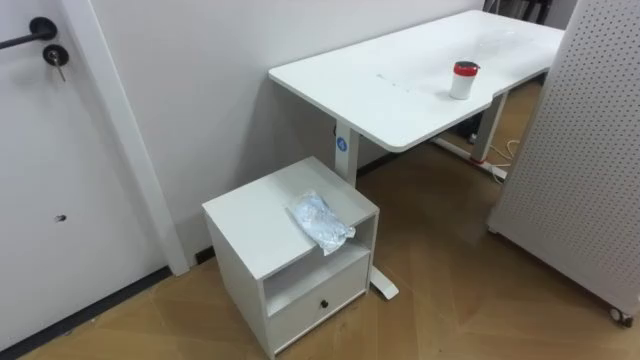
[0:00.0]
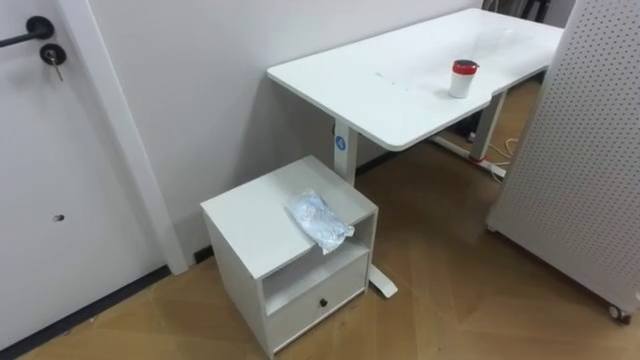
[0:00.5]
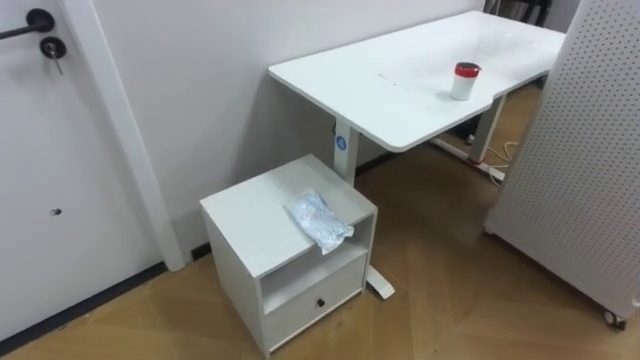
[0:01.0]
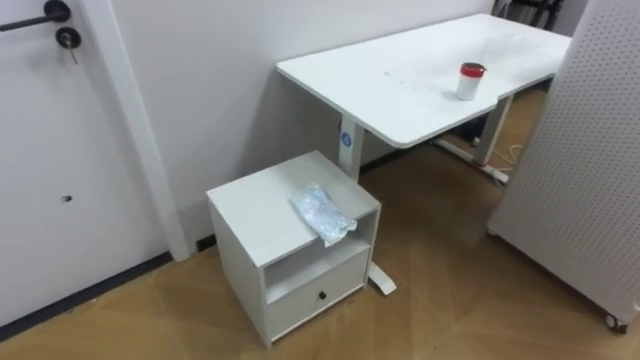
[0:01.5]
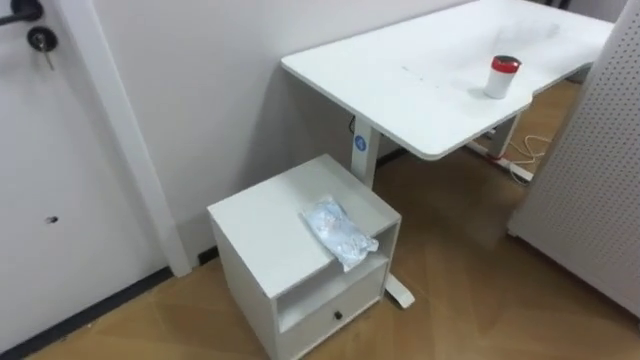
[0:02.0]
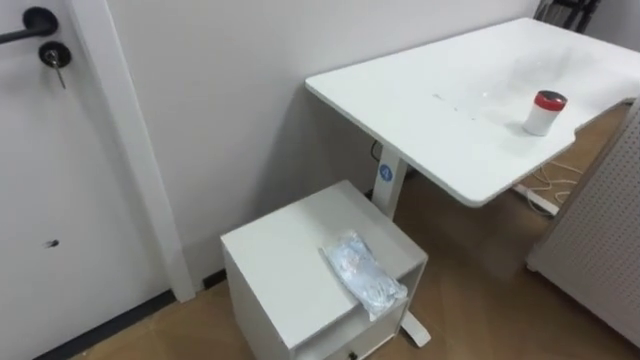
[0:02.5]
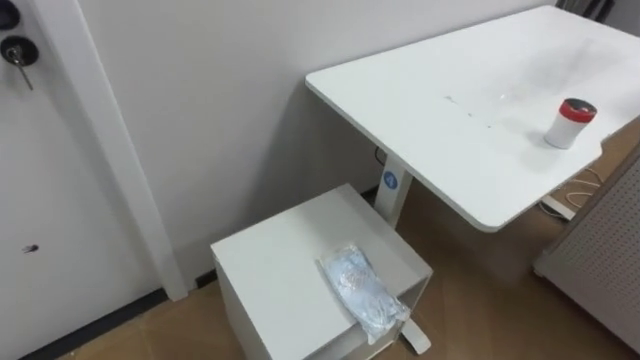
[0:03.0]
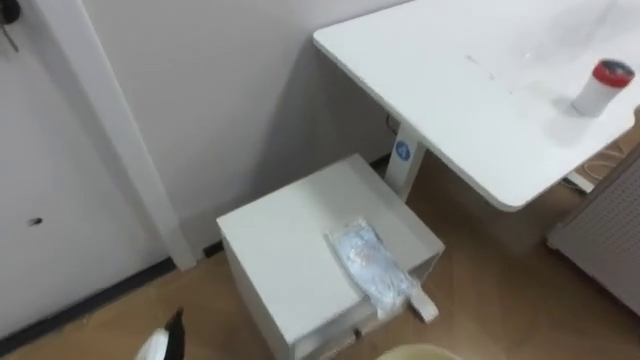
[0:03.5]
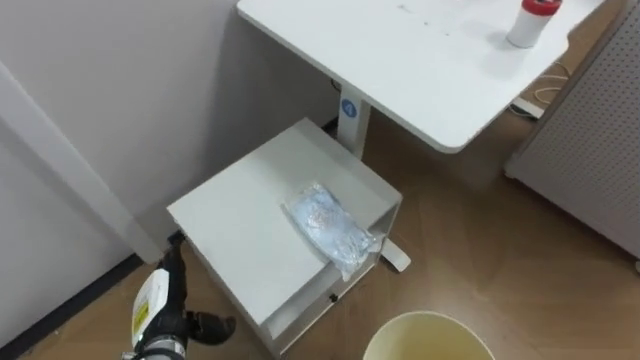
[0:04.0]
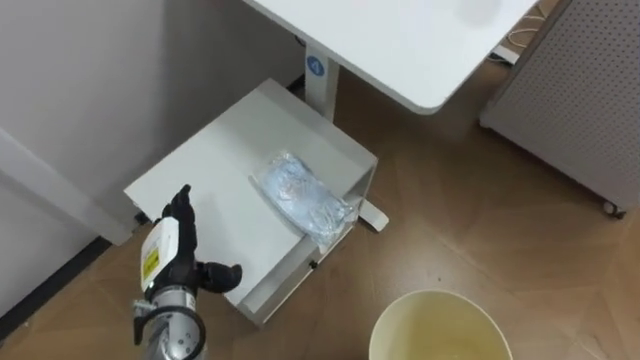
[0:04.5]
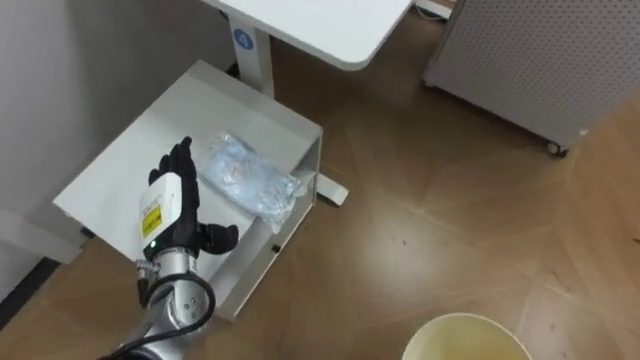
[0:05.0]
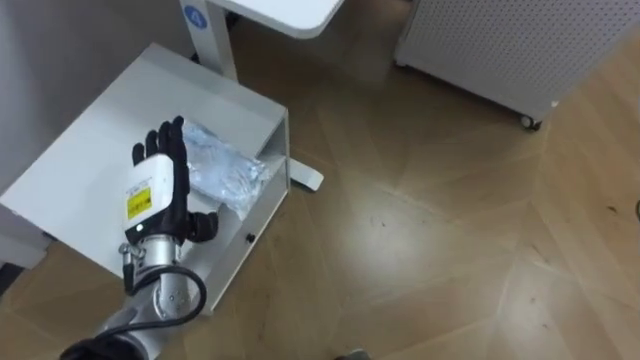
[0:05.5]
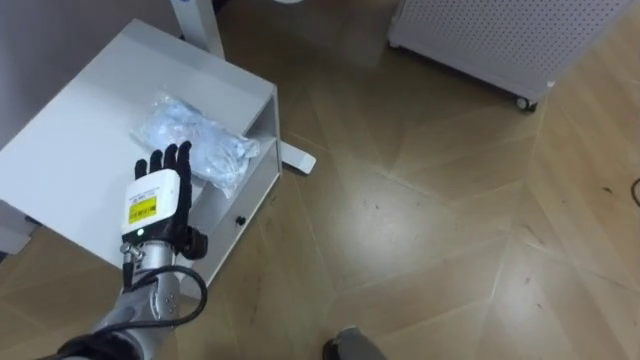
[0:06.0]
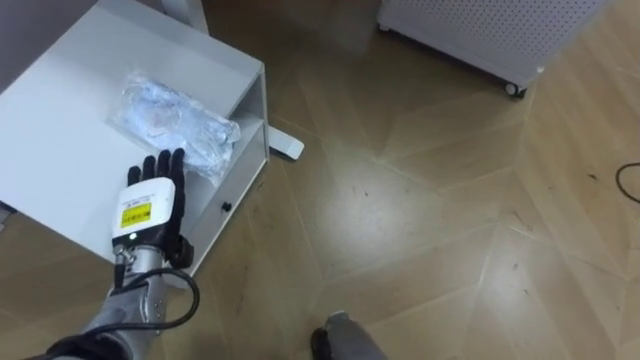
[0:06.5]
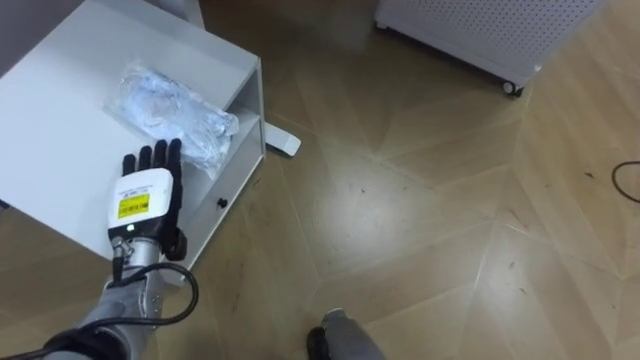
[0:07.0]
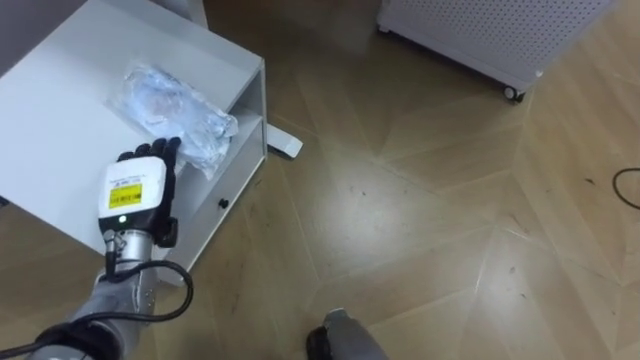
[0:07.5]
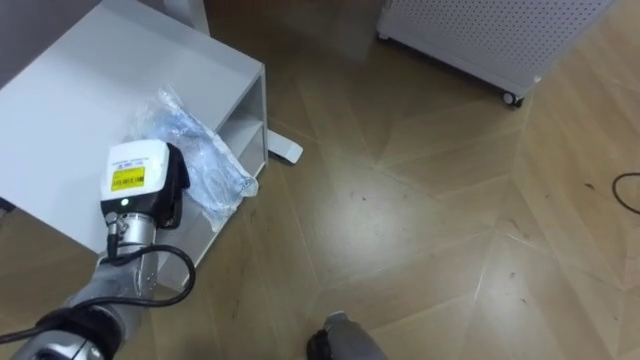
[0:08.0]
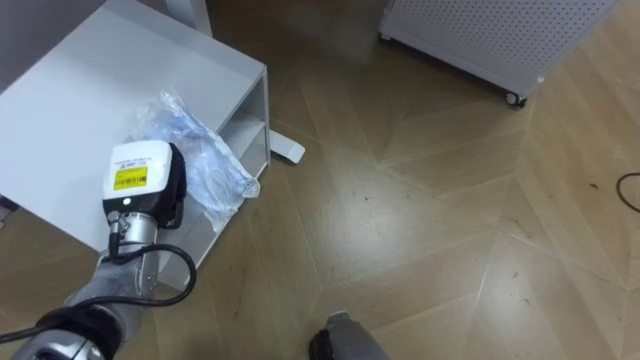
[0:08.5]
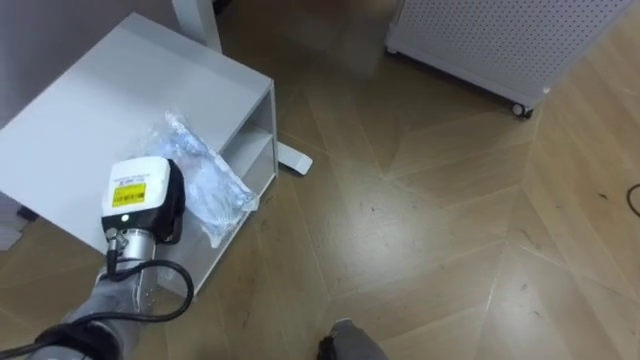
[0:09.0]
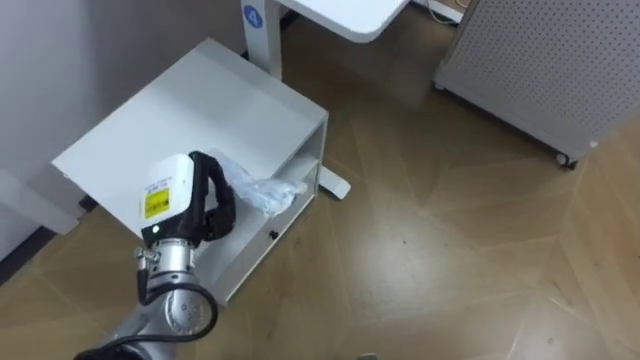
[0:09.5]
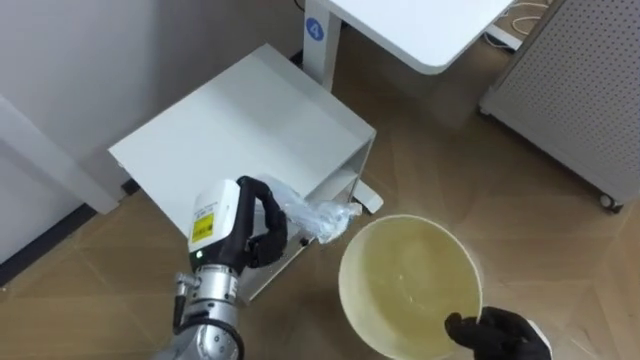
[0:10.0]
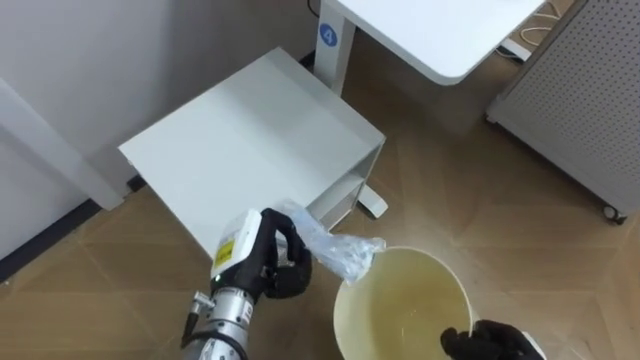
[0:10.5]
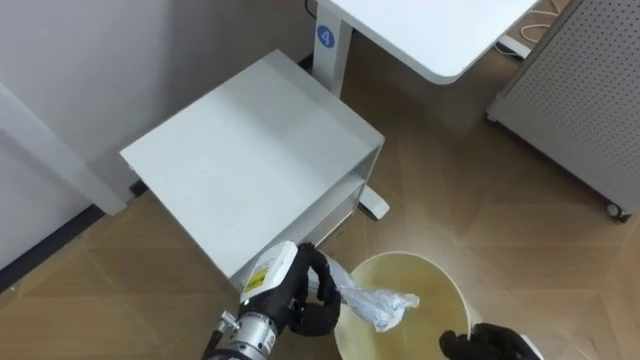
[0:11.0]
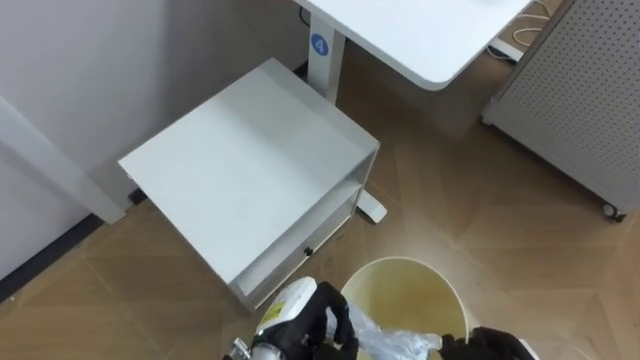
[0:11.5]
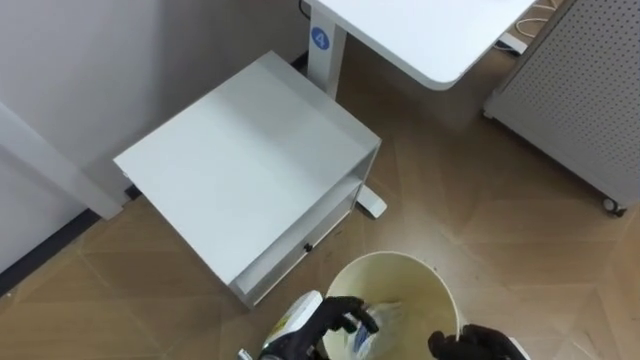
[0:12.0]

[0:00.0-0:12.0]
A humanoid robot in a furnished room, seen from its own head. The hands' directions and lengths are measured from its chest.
Task of the whole recording: Pick up the light blue package, the candy box, and the dark blue package separately, and put them into the trash can held in your right hand.
0:04.0 to 0:06.0: The left hand travels upward and forward by some 15 cm.
0:06.0 to 0:08.0: The left hand closes its fingers.
0:08.0 to 0:10.0: The left hand heads to the right, covering about 10 cm.
0:10.0 to 0:12.0: The left hand heads downward, to the right and backward, covering about 15 cm, and opens.

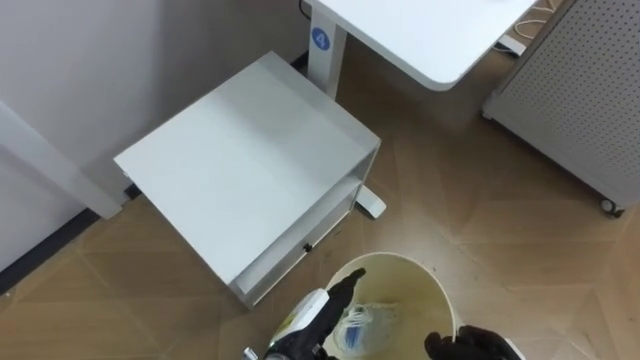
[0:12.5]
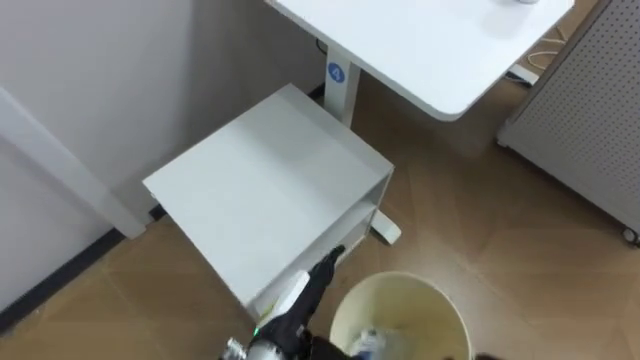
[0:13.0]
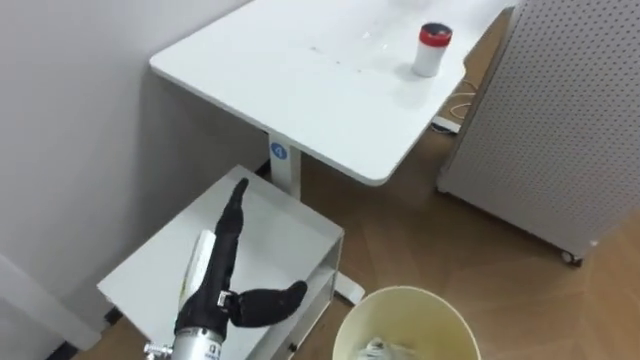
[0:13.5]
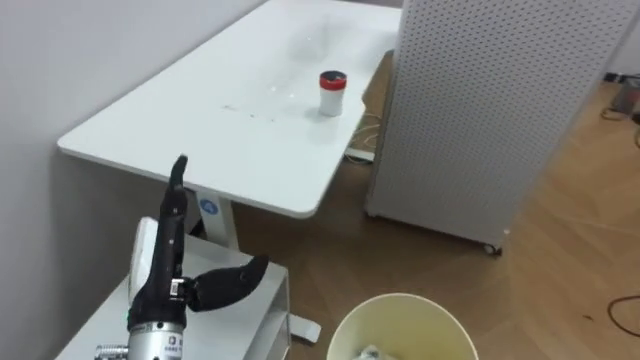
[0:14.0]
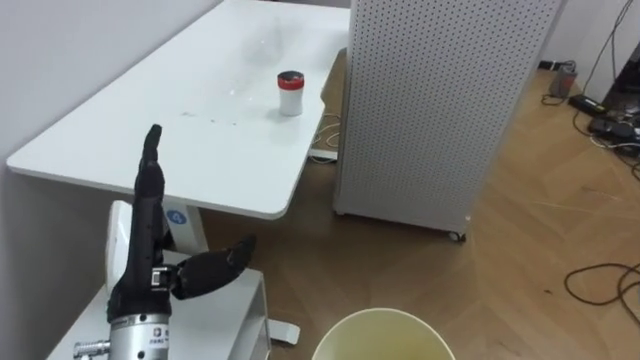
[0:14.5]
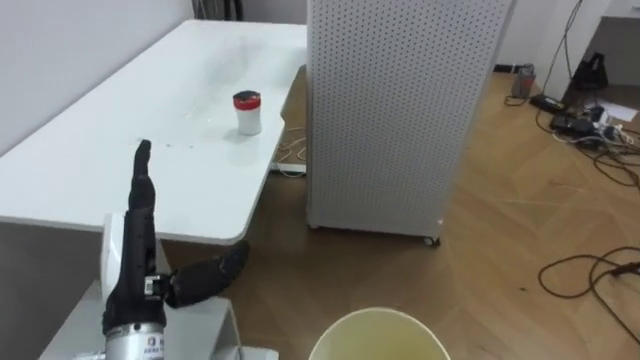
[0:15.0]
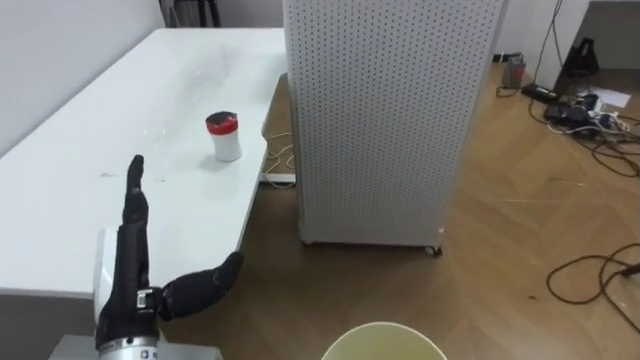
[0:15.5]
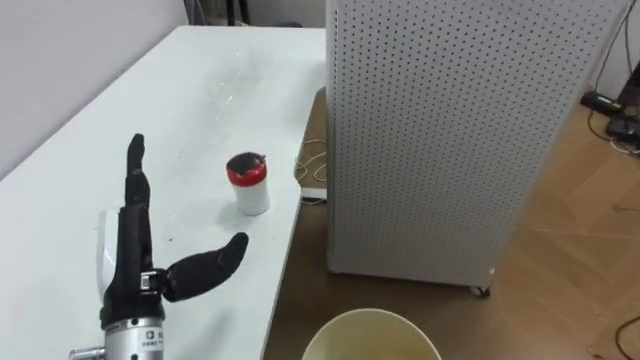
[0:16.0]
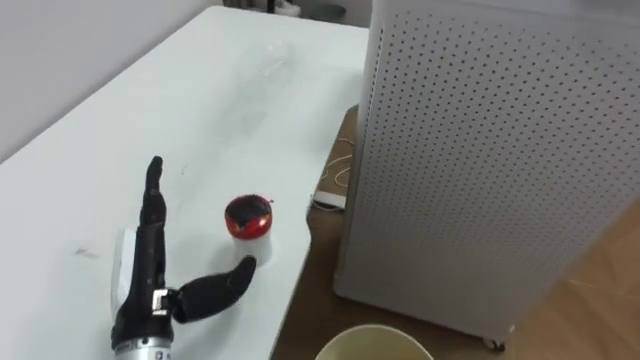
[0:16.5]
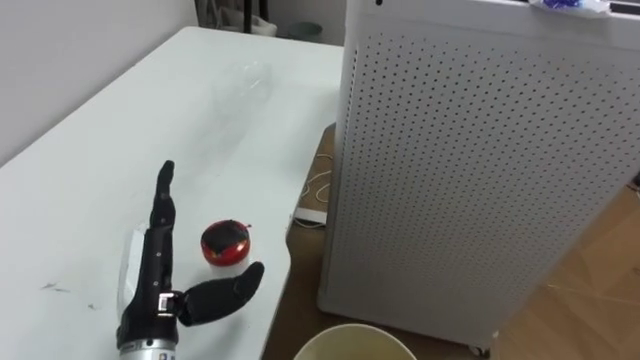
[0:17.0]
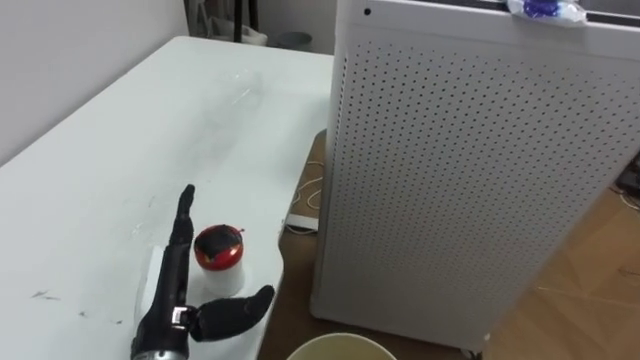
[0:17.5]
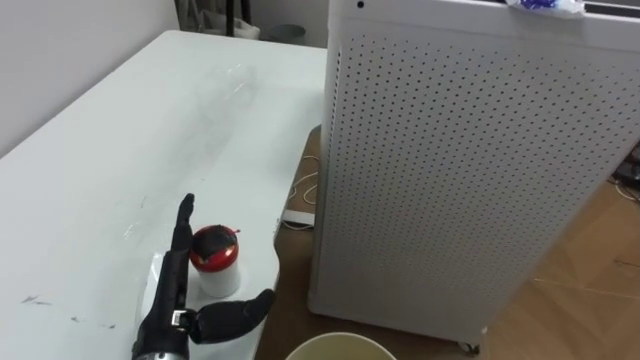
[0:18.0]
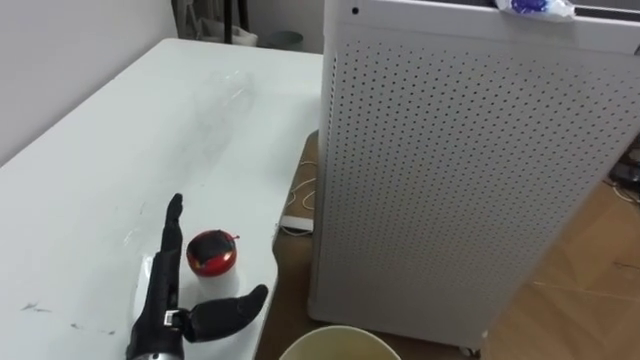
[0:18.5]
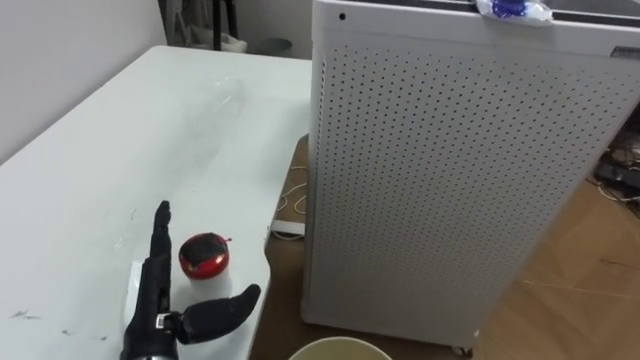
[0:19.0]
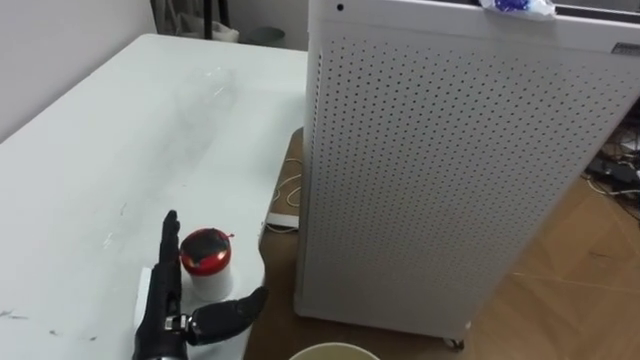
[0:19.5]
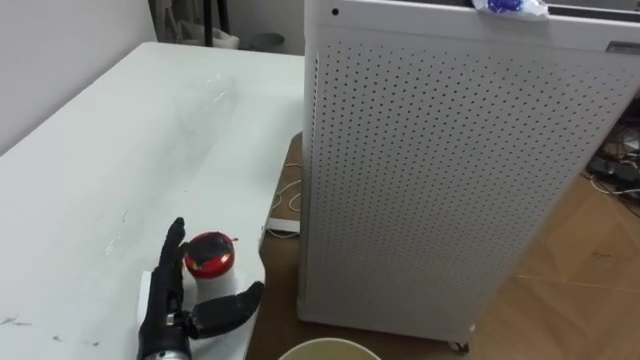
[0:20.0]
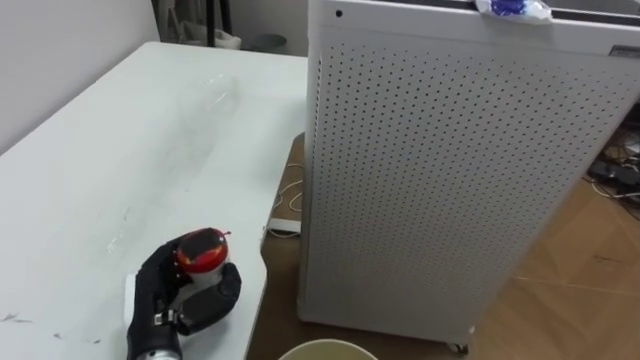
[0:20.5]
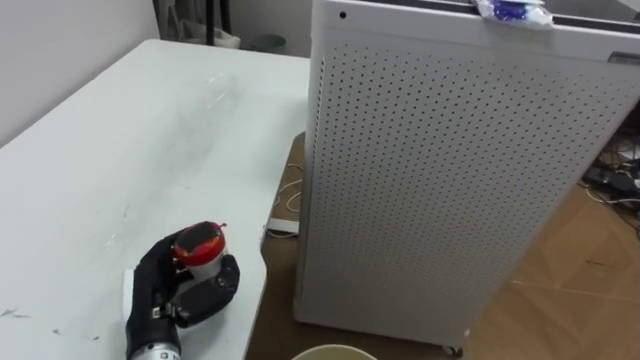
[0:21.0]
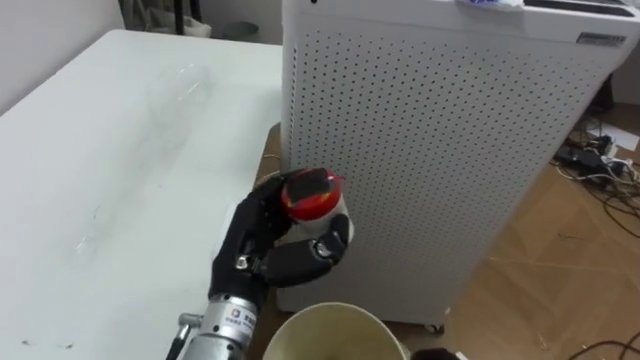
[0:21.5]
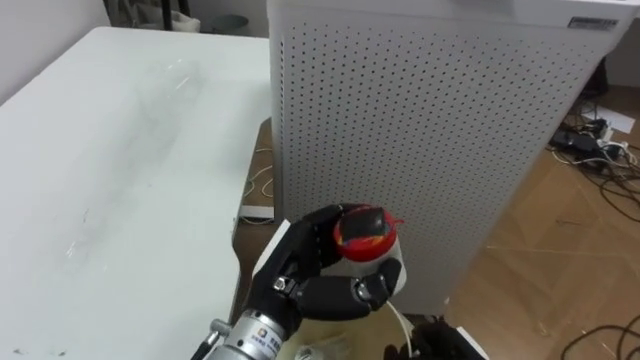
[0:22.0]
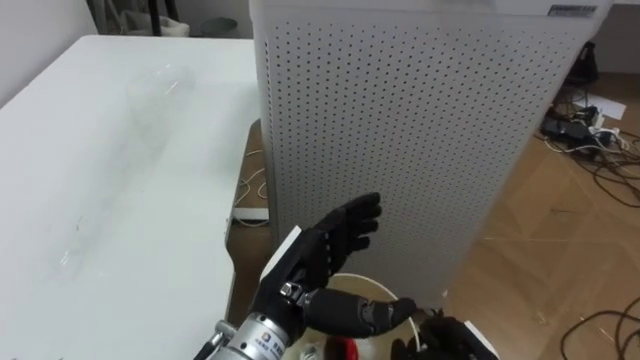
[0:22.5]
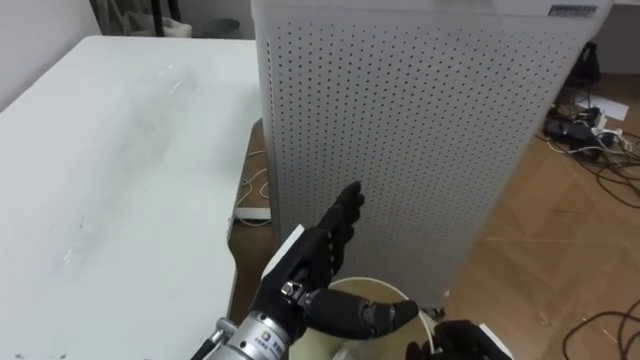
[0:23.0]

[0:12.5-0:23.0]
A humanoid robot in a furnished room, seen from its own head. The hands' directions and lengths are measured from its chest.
Task of the whole recording: Pick up the light blue package, the candy box, and the dark blue package separately, and put them into the trash can held in your right hand.
0:12.5 to 0:14.5: The robot faces approximately 35 degrees further to its right. The left hand moves to the left and upward, roughly 25 cm.
0:19.0 to 0:21.0: The left hand closes up.
0:21.0 to 0:23.0: The left hand moves to the right and upward, some 20 cm, and opens up.
